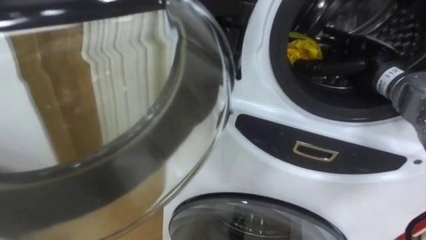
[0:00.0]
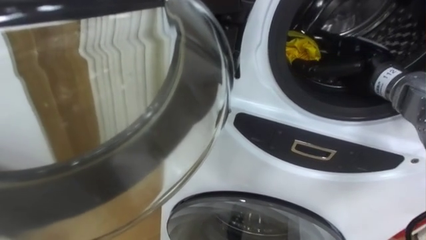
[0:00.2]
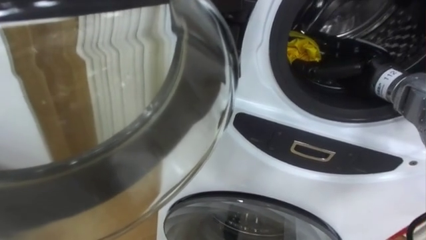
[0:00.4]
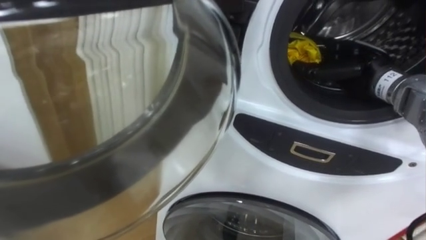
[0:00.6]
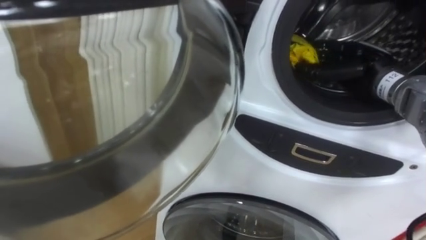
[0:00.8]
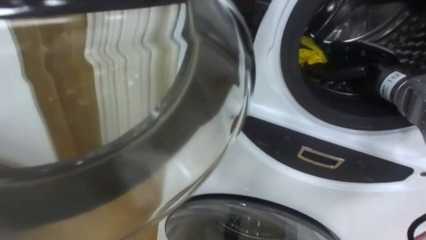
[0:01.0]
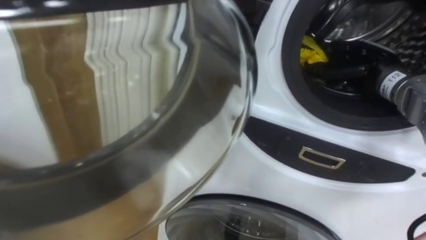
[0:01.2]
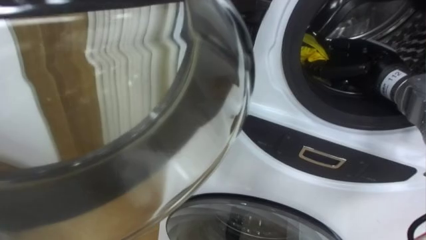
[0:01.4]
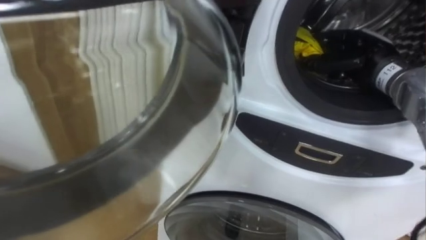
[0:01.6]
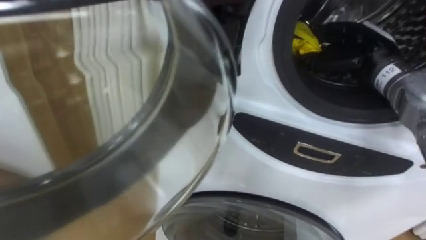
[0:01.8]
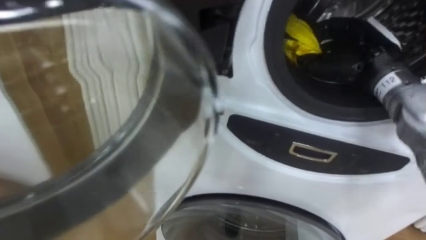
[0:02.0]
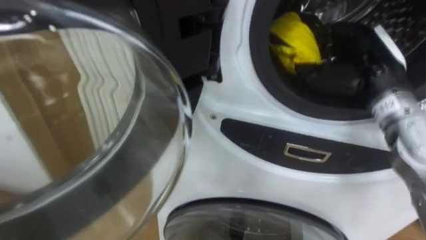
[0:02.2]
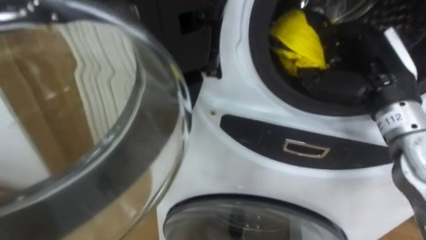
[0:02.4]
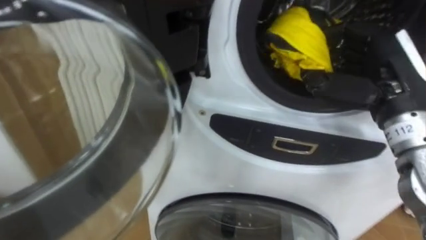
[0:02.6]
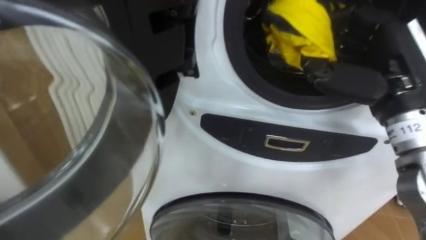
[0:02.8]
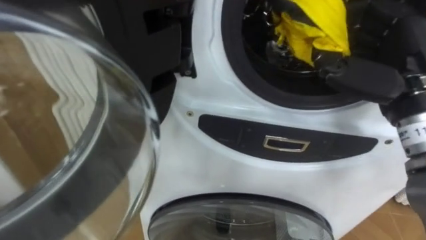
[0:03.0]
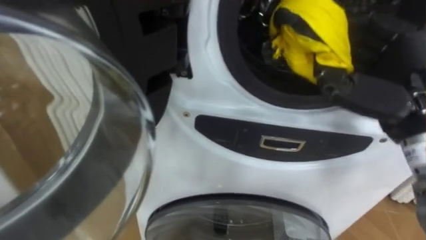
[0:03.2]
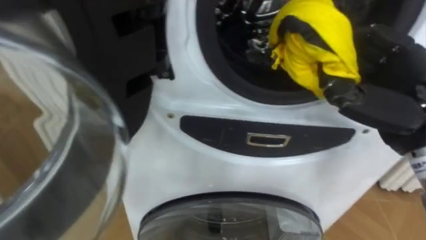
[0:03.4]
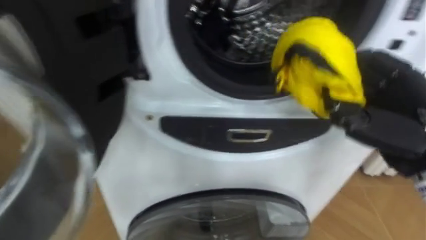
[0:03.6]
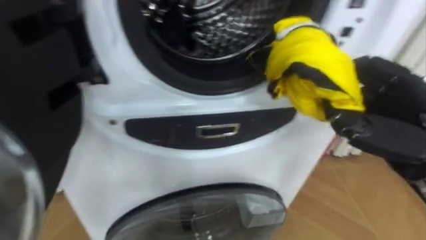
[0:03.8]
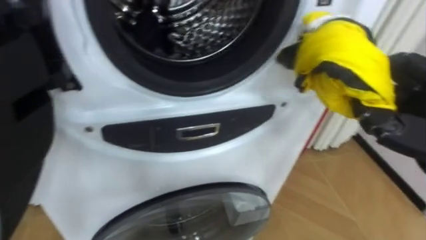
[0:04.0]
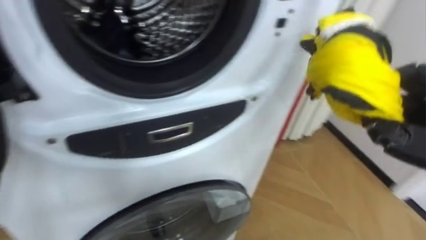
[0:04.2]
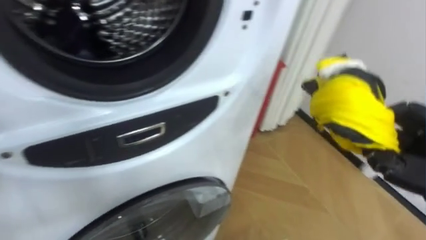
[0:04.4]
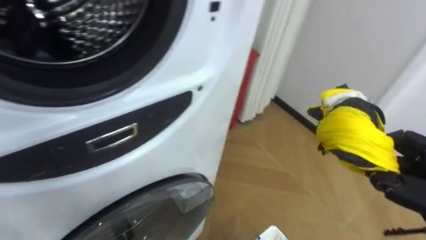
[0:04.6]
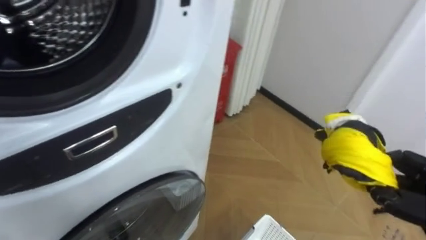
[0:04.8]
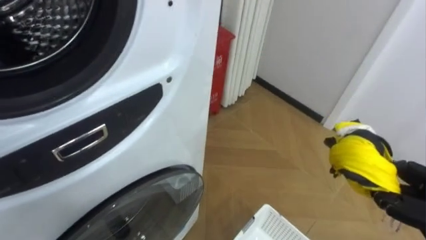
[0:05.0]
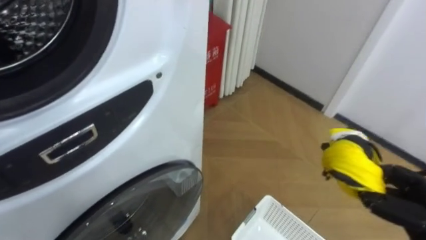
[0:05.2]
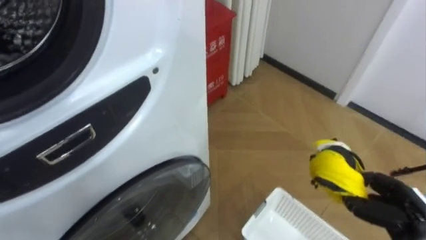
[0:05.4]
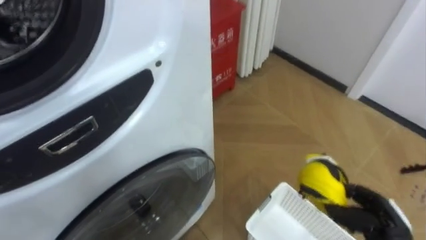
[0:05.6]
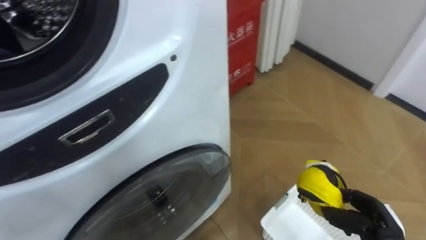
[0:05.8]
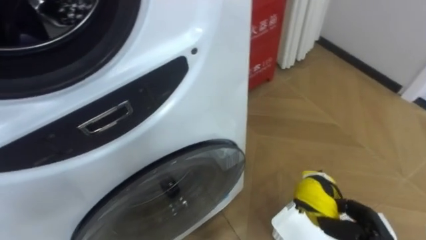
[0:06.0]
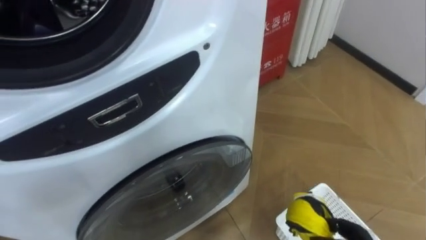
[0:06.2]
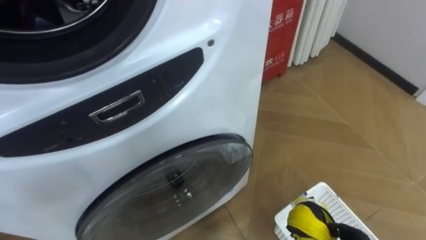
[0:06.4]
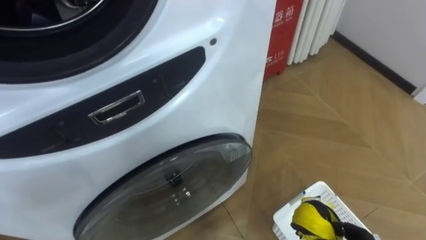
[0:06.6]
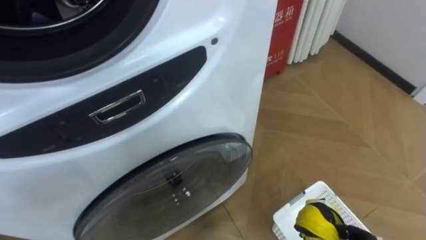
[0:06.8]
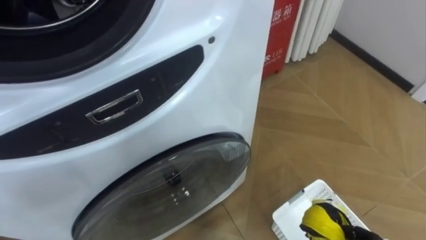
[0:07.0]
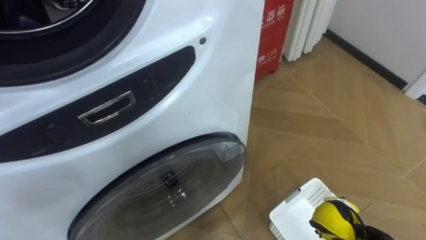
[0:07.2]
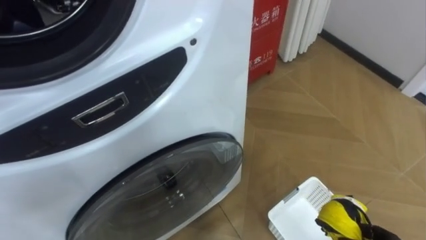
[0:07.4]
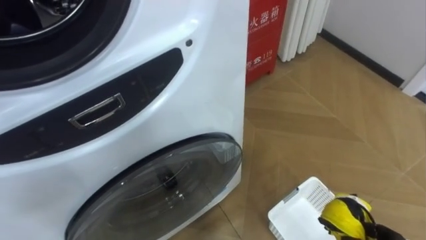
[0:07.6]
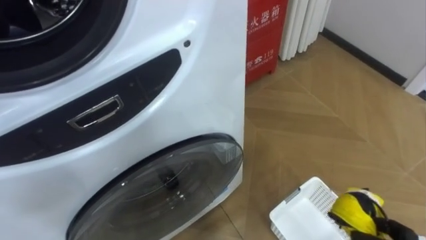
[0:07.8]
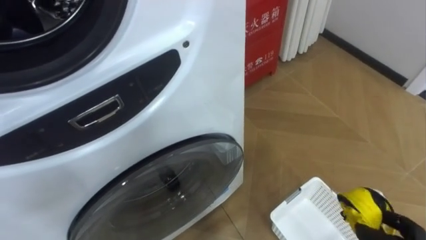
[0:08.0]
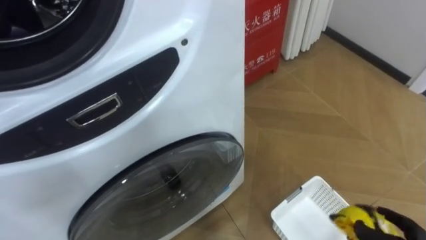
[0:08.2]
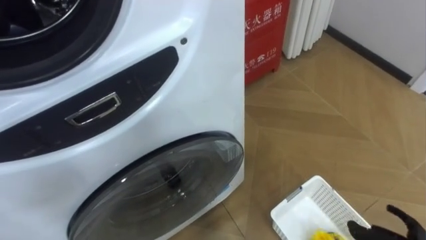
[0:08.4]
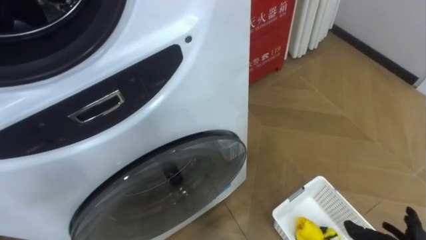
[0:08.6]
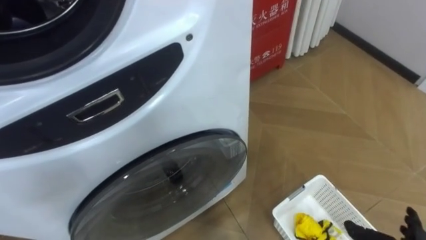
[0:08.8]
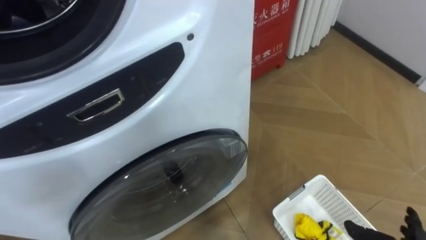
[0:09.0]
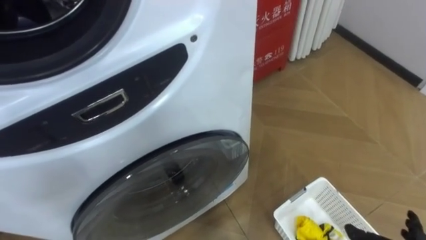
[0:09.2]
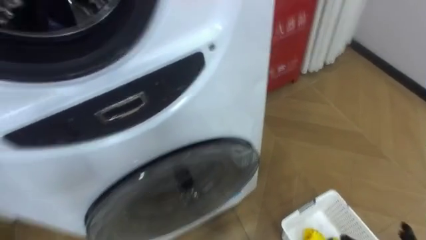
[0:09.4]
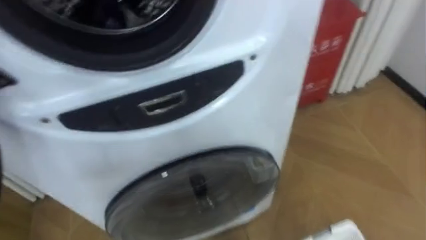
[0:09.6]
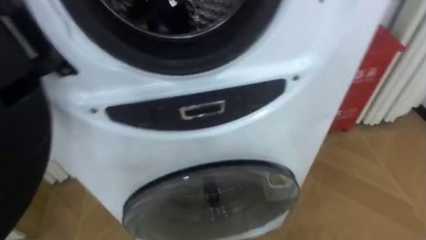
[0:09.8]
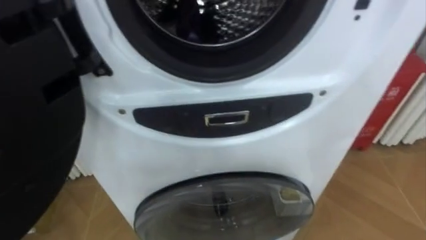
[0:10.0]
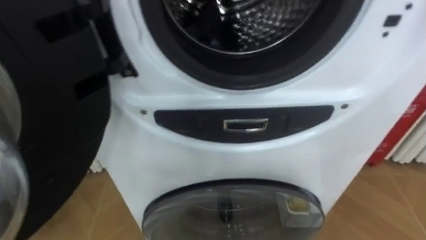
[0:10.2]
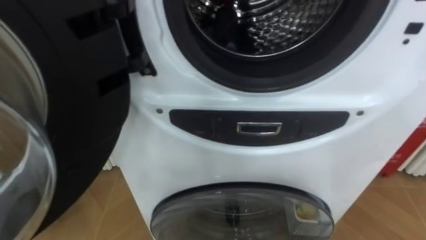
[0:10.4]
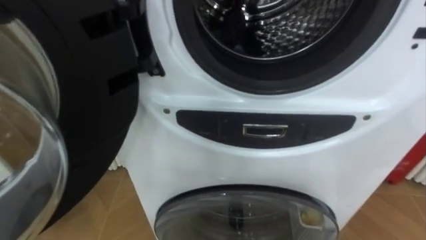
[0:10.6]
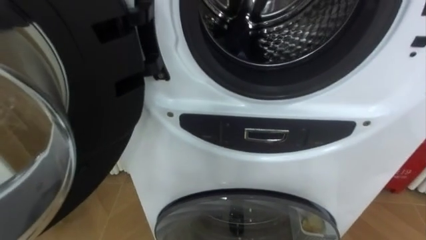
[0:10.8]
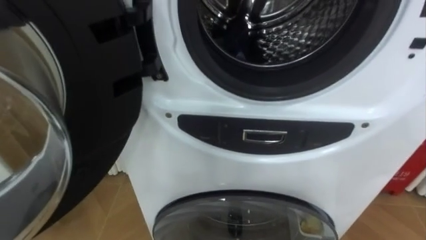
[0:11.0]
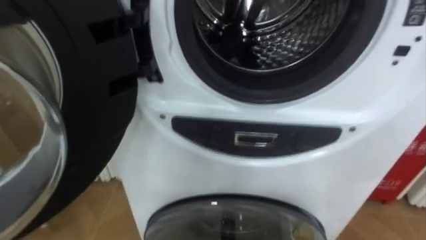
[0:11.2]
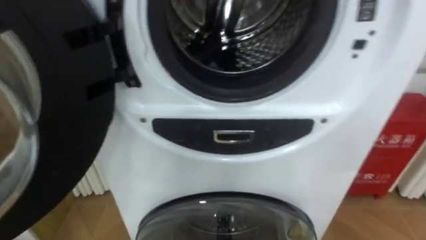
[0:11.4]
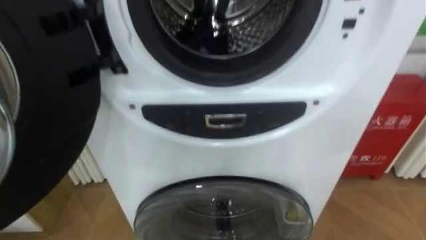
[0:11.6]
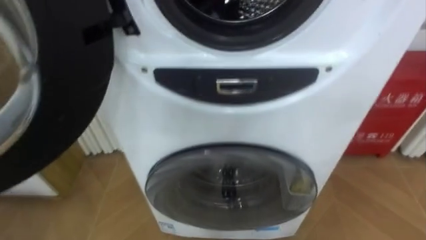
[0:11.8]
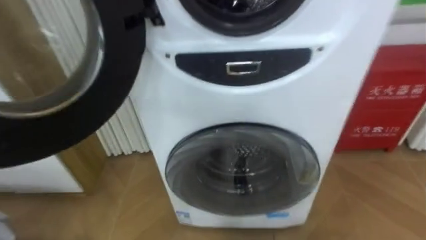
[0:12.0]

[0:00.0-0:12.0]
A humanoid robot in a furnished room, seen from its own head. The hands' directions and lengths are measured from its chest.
Task of the whole recording: Open the washing machine door, take out the yellow clothes, place them in the box on the right, and close the washing machine door.
0:00.0 to 0:01.6: The right hand closes its fingers.
0:01.6 to 0:03.0: The right hand goes approximately 15 cm backward and upward.

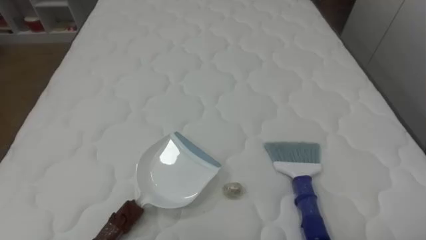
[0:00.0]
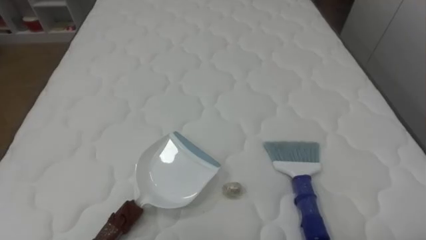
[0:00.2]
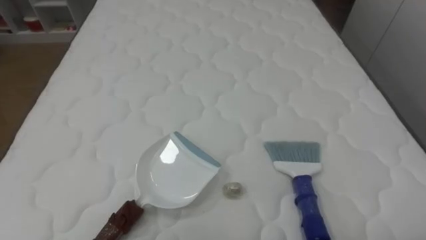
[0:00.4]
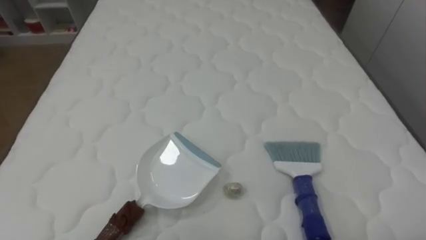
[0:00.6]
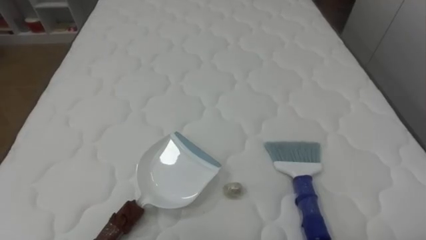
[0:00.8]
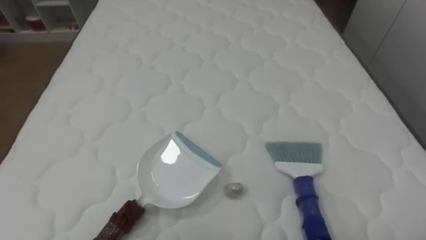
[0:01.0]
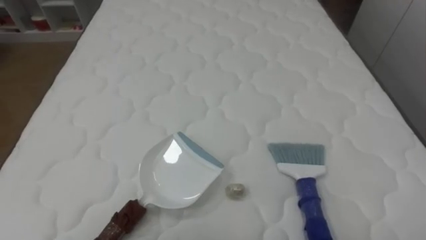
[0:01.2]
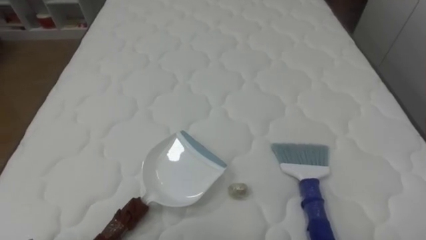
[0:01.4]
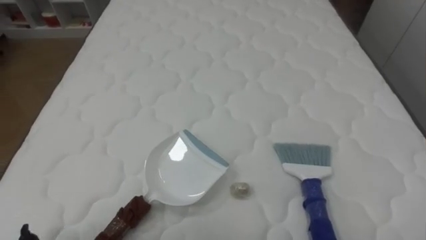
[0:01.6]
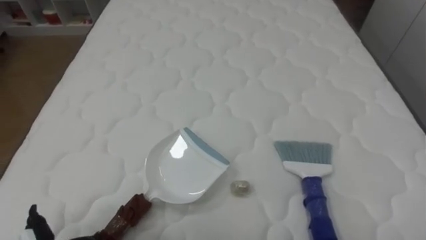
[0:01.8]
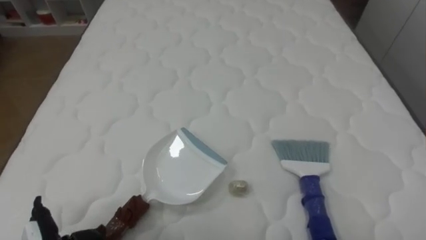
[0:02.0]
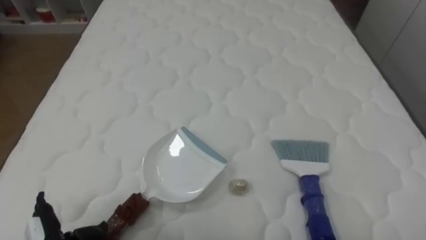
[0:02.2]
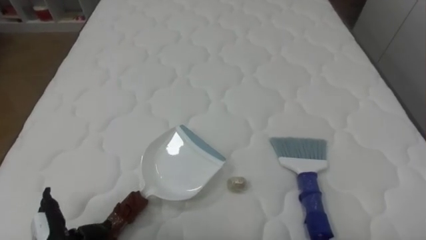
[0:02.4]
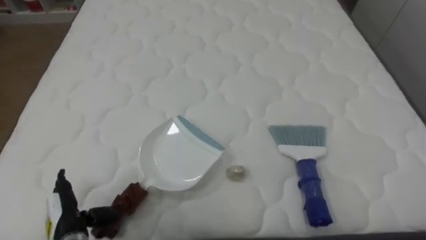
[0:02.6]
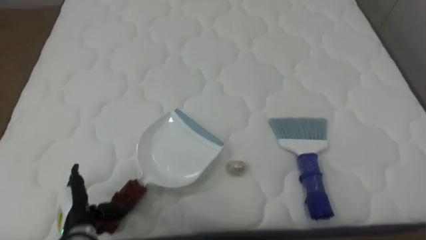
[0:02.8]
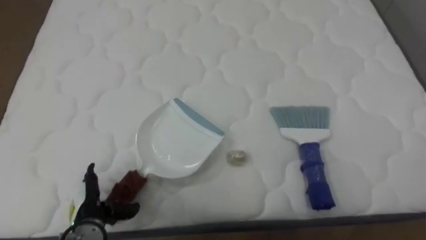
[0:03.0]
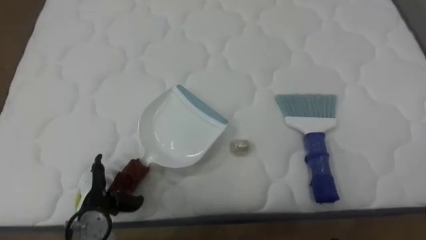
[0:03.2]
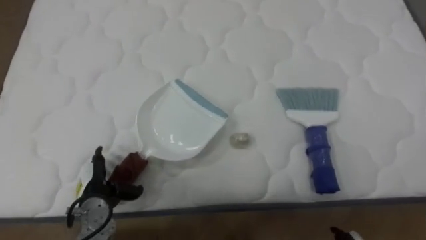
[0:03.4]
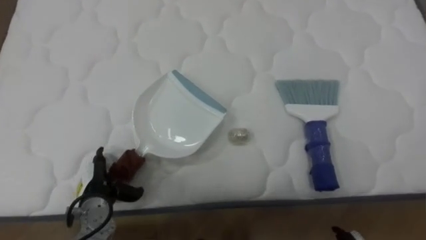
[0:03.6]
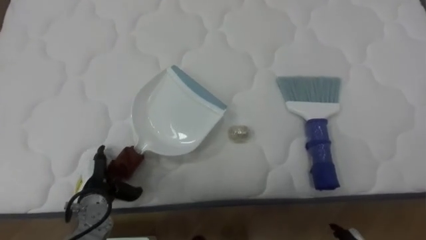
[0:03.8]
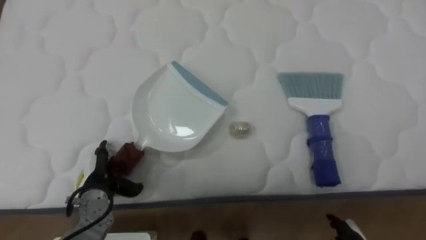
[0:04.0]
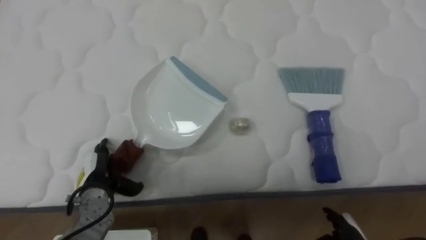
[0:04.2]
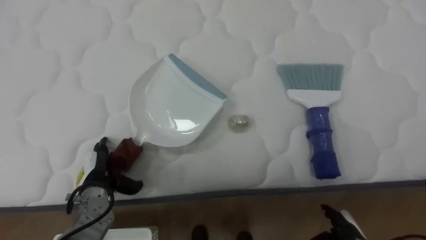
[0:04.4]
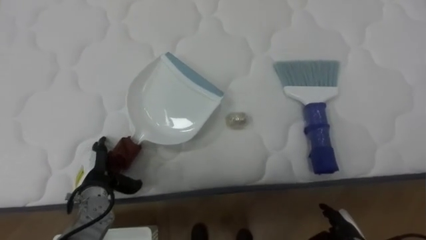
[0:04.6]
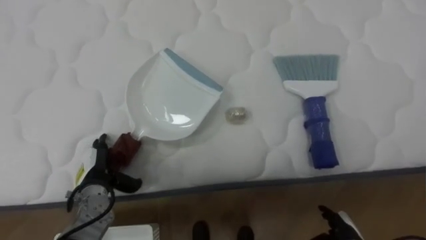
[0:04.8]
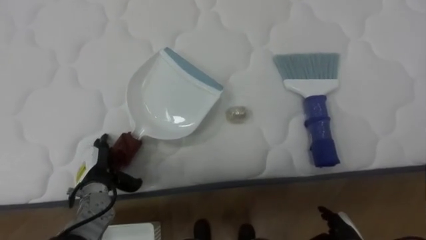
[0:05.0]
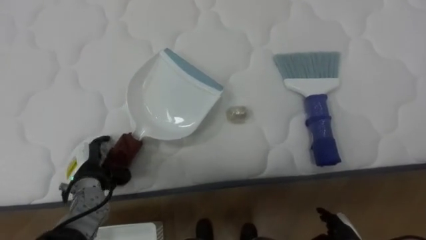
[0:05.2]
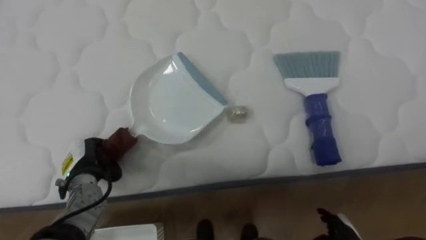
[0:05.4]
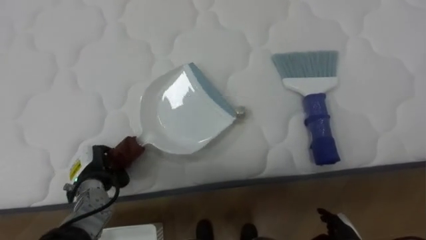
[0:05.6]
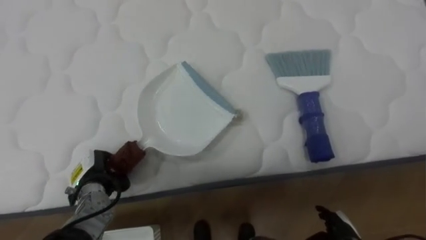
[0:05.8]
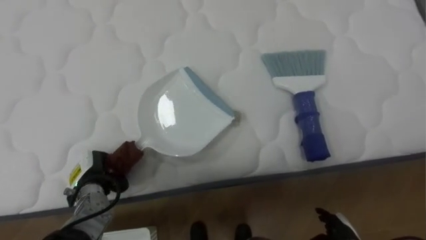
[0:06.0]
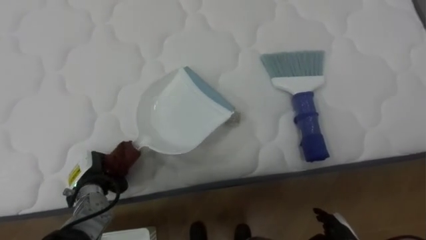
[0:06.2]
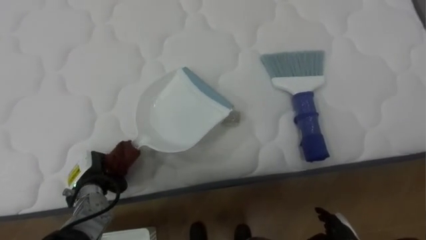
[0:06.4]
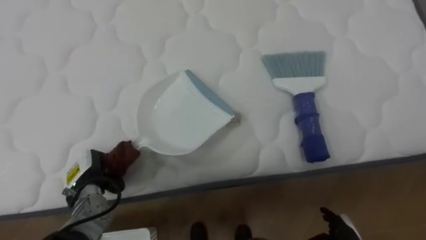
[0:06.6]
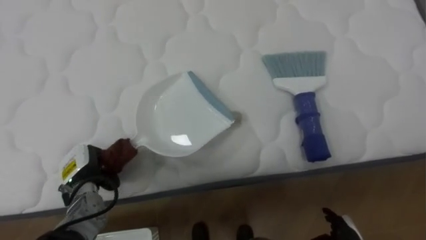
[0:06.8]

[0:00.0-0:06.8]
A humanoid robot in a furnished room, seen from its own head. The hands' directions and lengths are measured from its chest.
Task of the whole recording: Pick up the brush on your right and the dustpan on your left. Use the brush to sweep the crumpled paper on the bed into the dustpan, then turn left and empty it into the basket.
0:02.8 to 0:04.0: The left hand shifts some 5 cm forward.
0:04.0 to 0:05.4: The left hand closes up.
0:05.4 to 0:06.8: The left hand closes.
